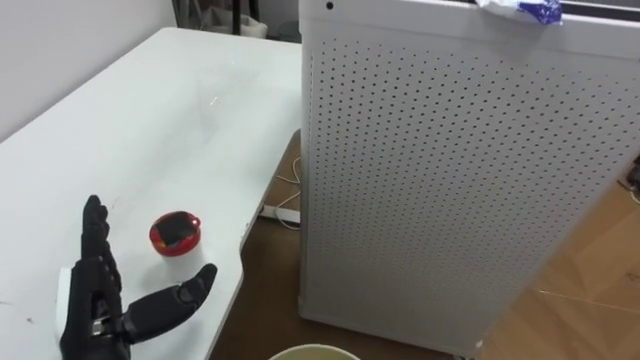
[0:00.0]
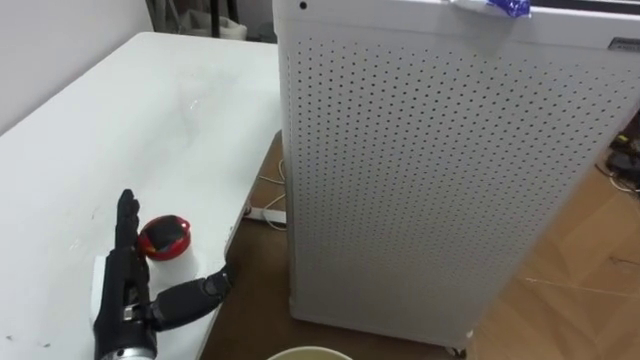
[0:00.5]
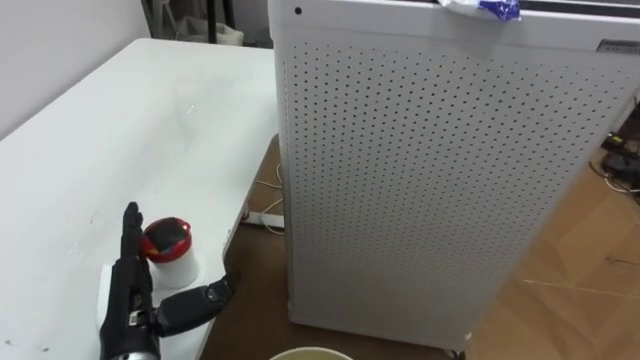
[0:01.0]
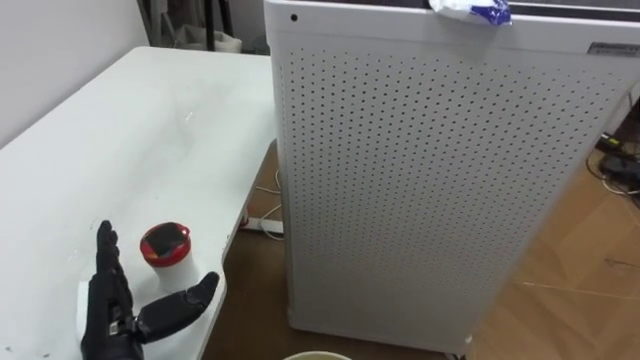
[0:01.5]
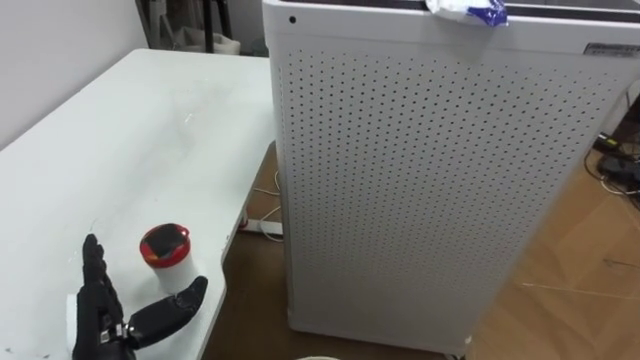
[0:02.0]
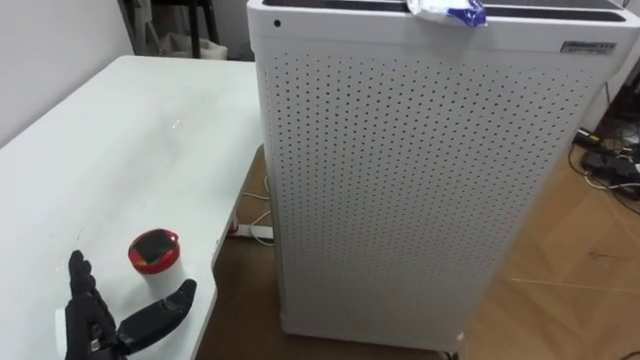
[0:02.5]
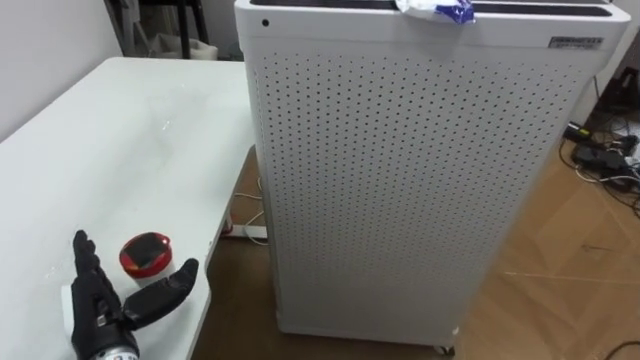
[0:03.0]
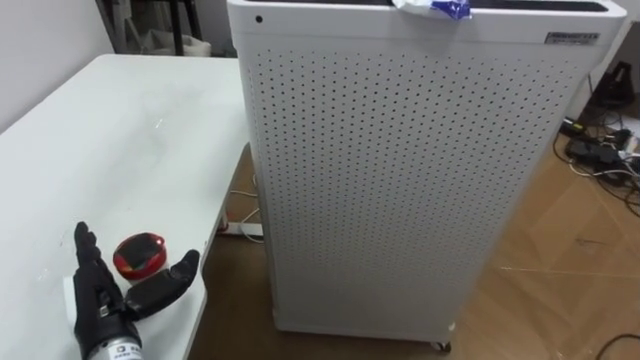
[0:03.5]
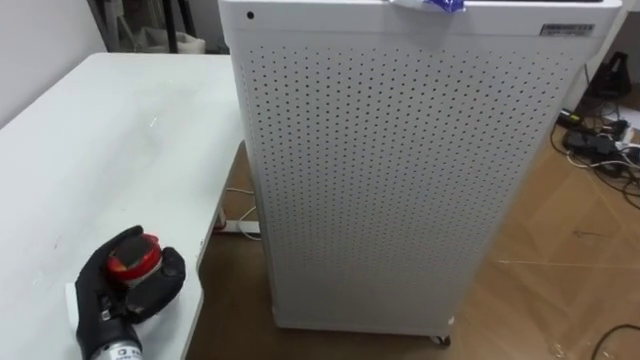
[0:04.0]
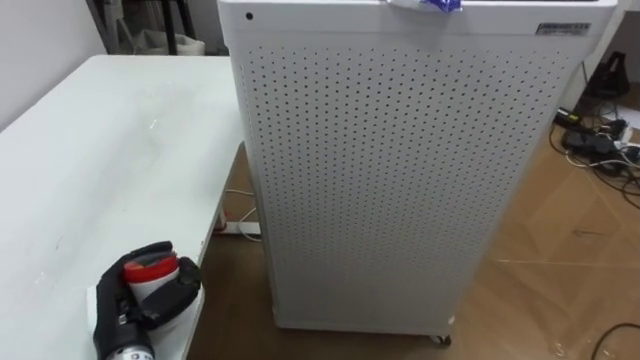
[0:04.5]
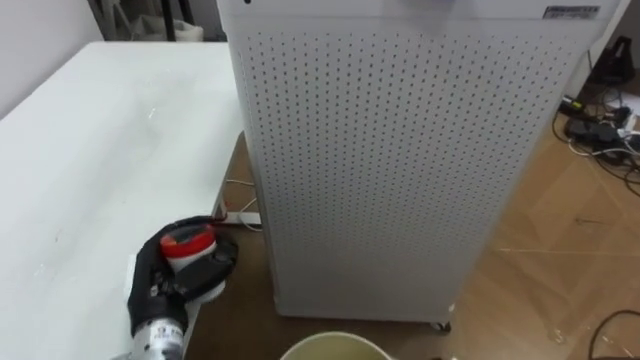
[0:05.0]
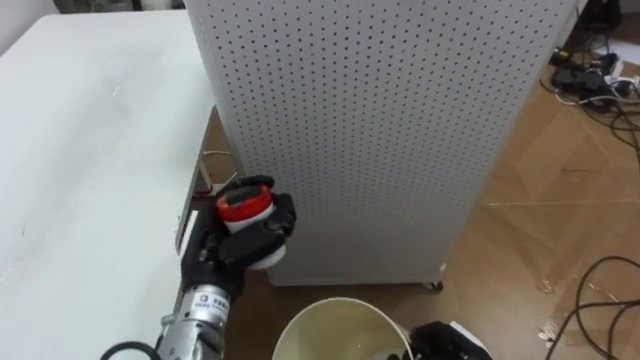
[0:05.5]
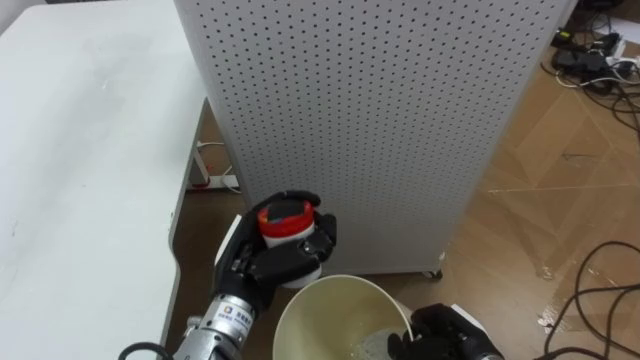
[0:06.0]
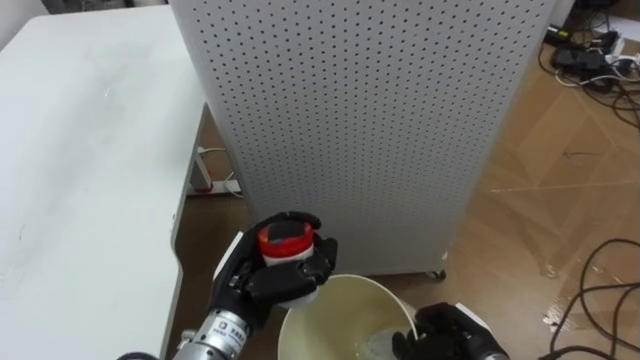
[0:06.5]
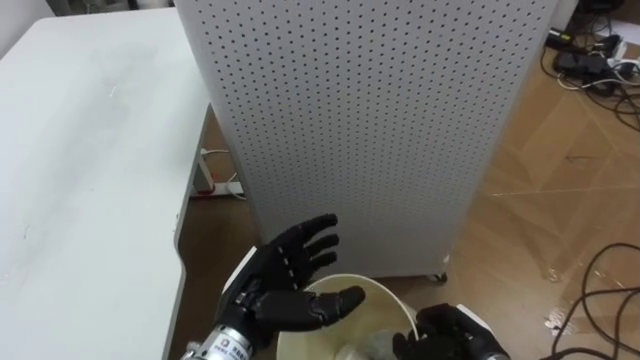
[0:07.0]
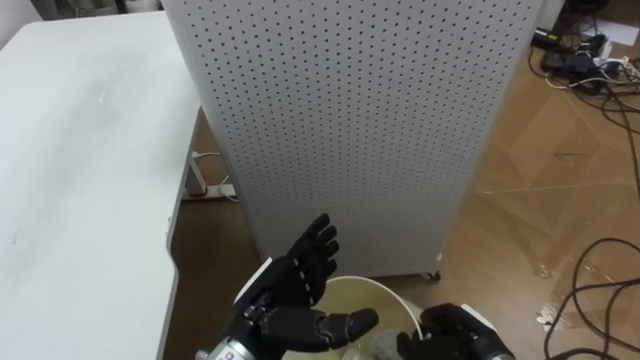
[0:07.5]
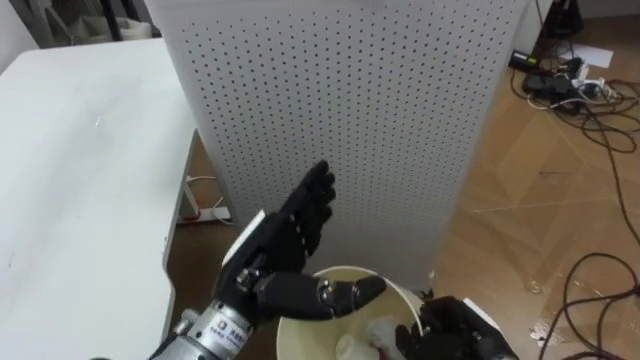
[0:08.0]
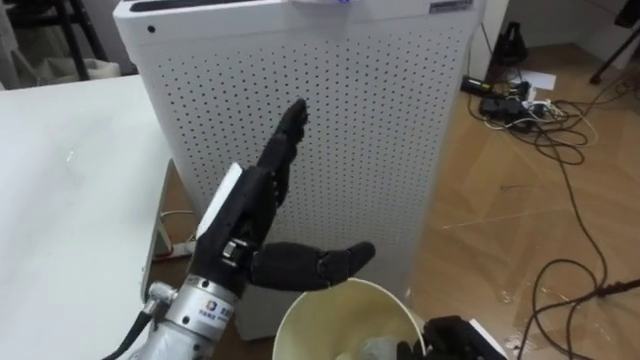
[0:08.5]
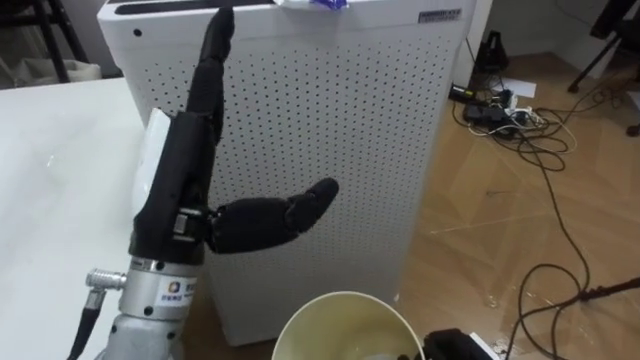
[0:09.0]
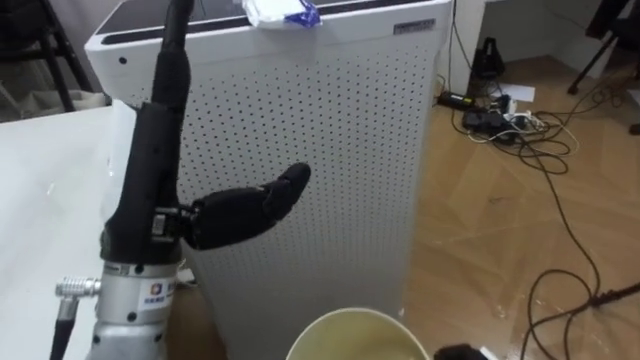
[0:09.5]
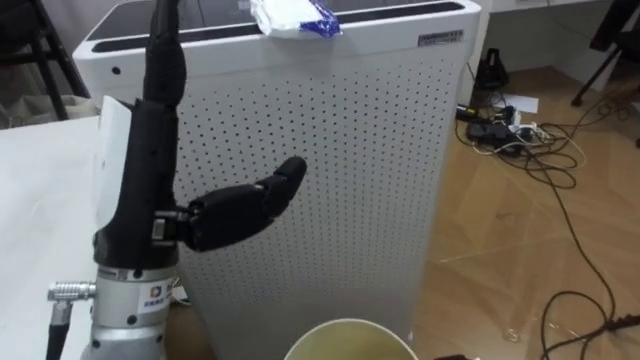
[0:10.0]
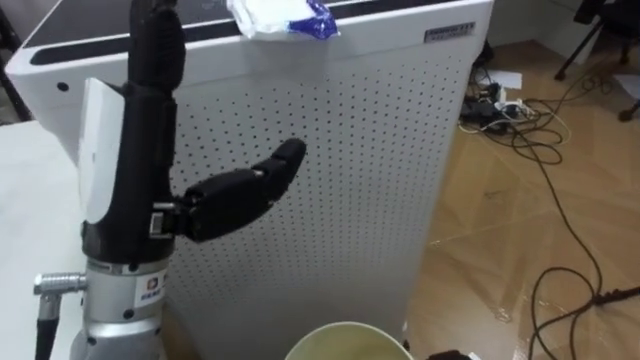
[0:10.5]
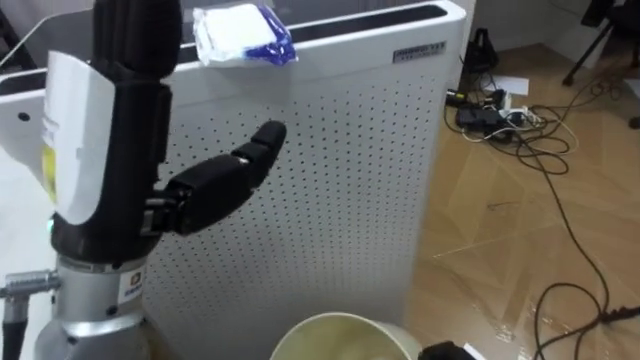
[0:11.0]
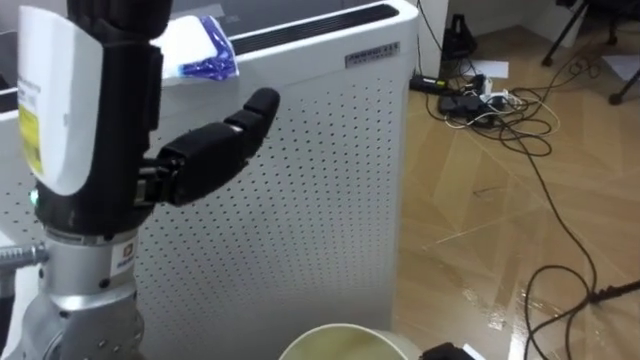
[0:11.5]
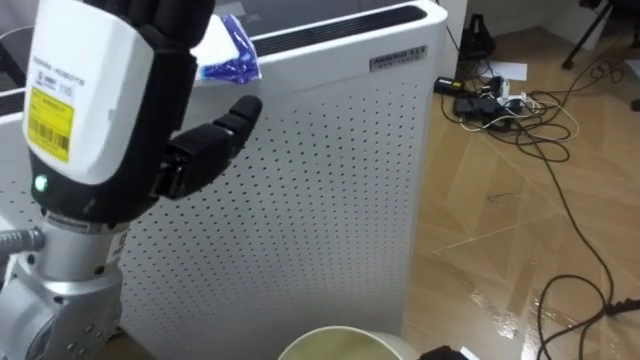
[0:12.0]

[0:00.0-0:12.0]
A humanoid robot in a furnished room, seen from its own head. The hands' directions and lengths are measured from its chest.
Task of the whole recording: Pick up the light blue package, the candy box, and the dark blue package separately, and put them into the trash can held in your right hand.
0:00.0 to 0:02.0: The left hand shifts roughly 5 cm downward.
0:02.0 to 0:04.0: The left hand closes its fingers.
0:04.0 to 0:06.0: The left hand goes about 15 cm to the right.
0:06.0 to 0:08.0: The left hand opens up.
0:08.0 to 0:10.0: The left hand goes approximately 20 cm upward and to the left.
0:10.0 to 0:12.0: The left hand goes some 5 cm upward.

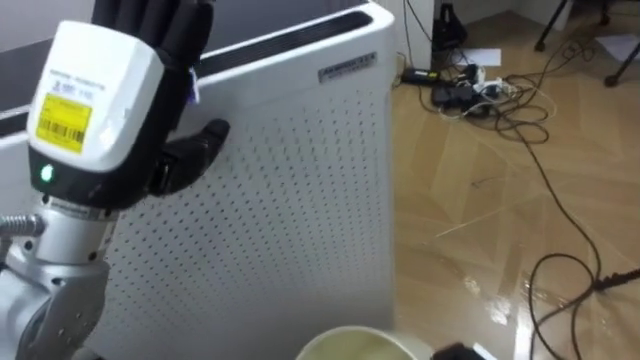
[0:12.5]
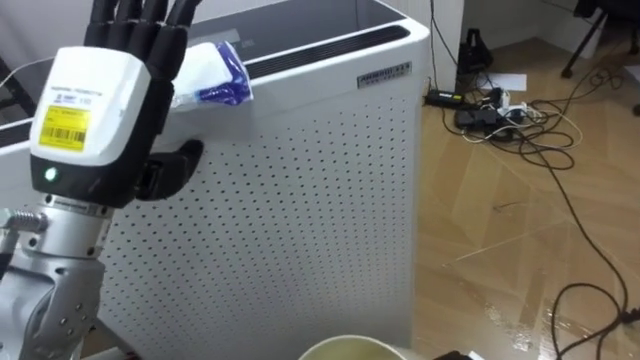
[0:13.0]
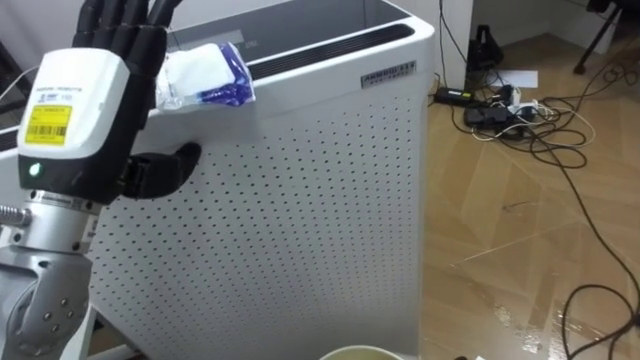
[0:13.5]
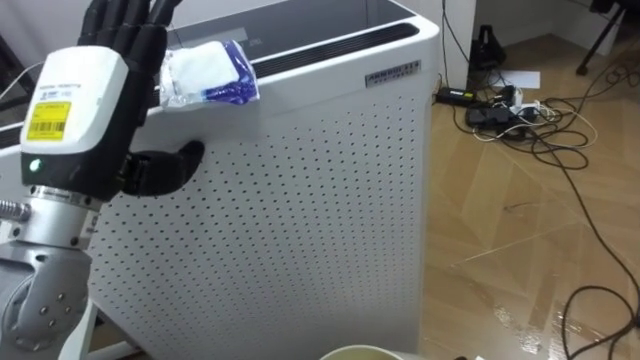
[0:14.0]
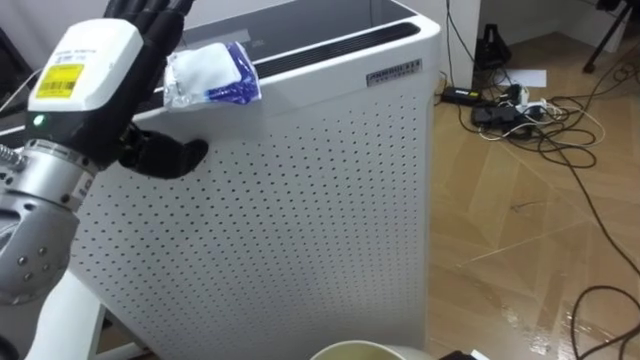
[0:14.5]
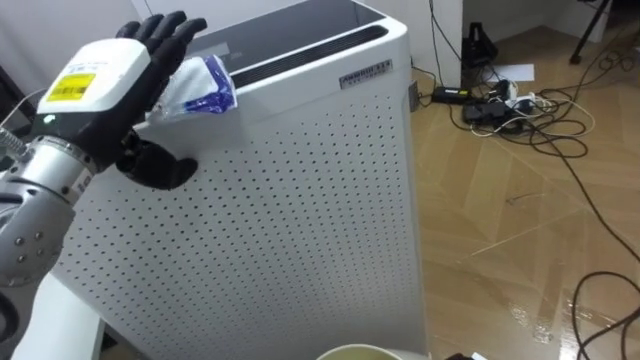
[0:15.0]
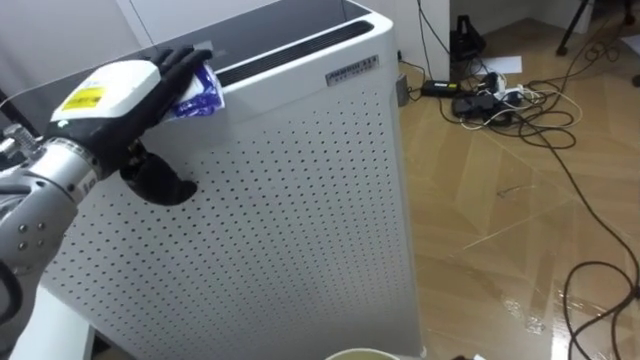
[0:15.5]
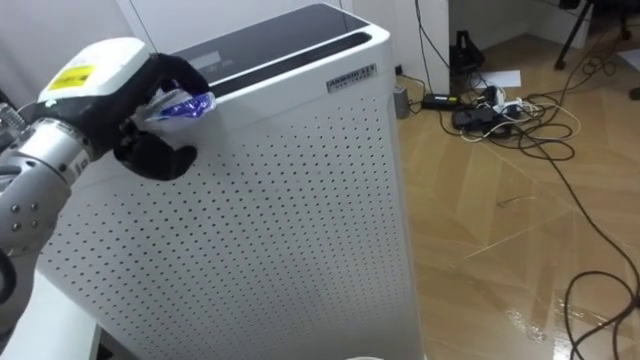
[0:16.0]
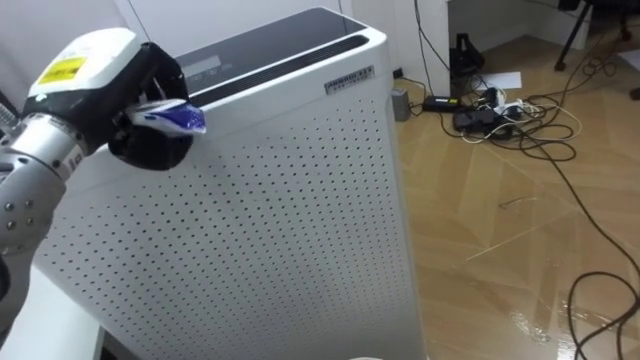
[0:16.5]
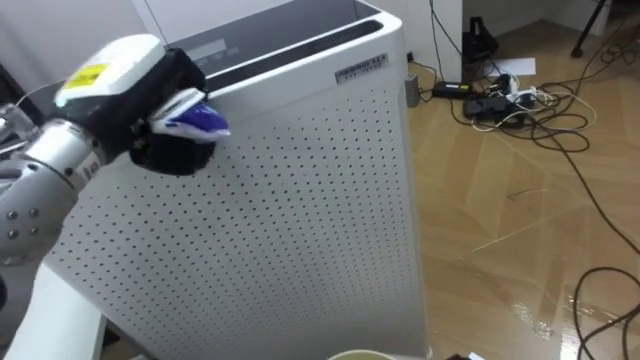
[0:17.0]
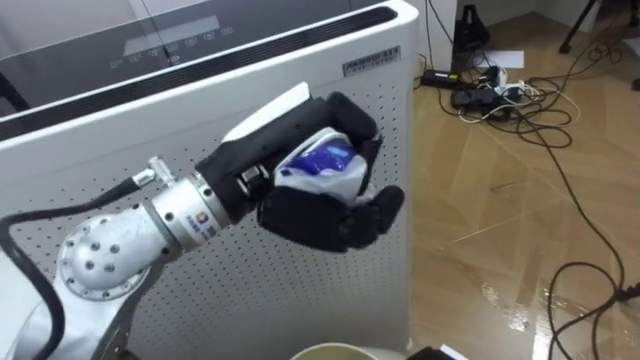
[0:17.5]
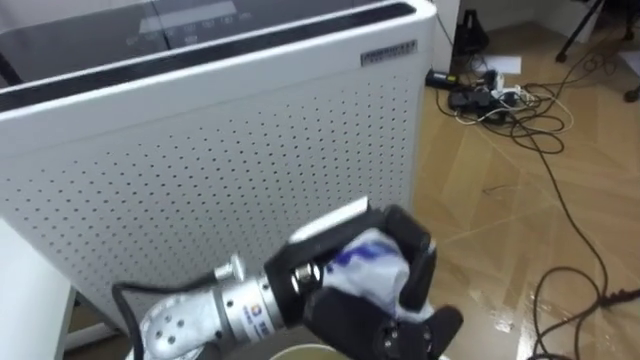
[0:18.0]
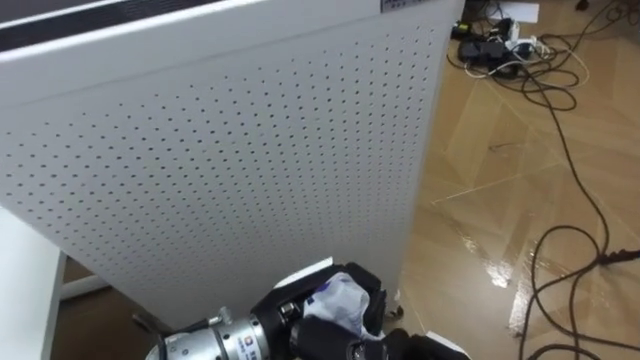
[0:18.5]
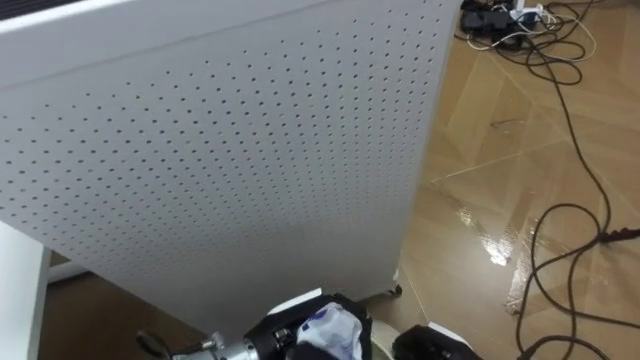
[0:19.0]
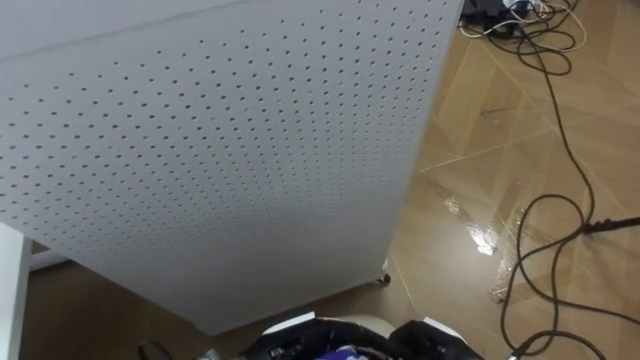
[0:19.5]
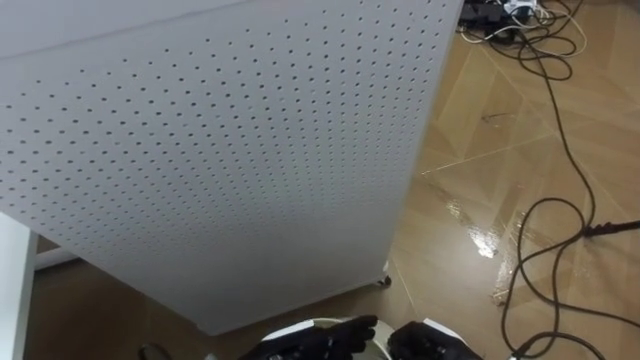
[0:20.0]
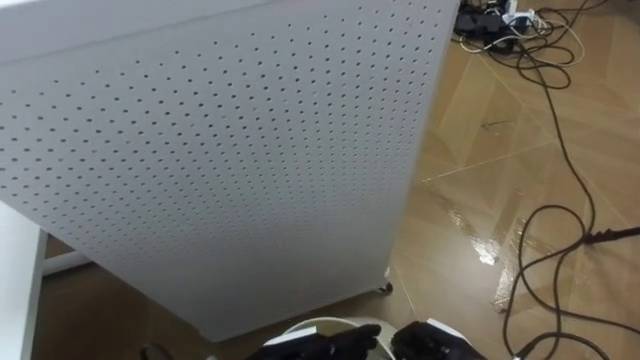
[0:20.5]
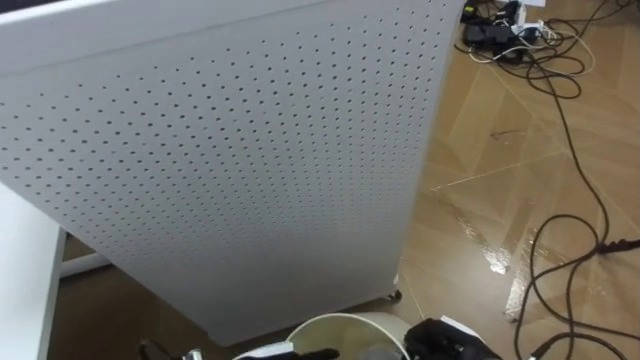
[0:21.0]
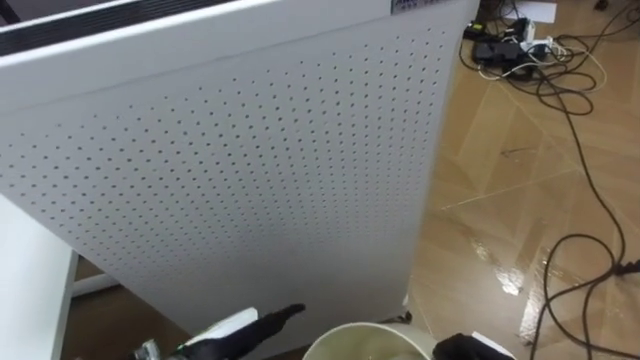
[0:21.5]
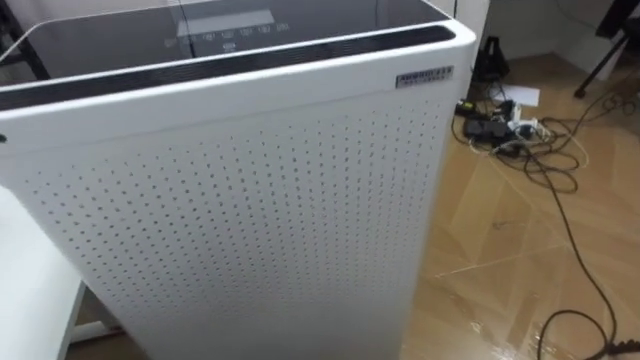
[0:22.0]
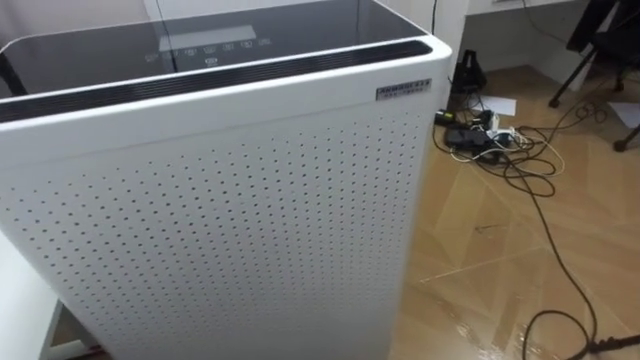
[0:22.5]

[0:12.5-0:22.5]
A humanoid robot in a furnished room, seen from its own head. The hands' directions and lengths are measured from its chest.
Task of the whole recording: Pick up the light blue package, the candy box, and the dark blue package separately, and put them into the trash can held in your right hand.
0:12.5 to 0:14.5: The left hand moves forward, about 5 cm.
0:14.5 to 0:16.5: The left hand closes up.
0:16.5 to 0:18.5: The left hand travels to the right, downward and backward by about 30 cm.
0:18.5 to 0:20.5: The left hand shifts approximately 10 cm downward, and opens up.
